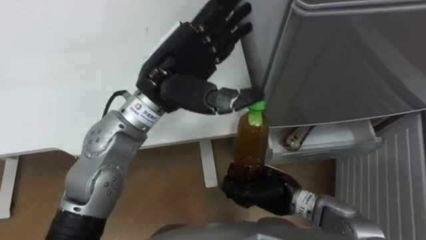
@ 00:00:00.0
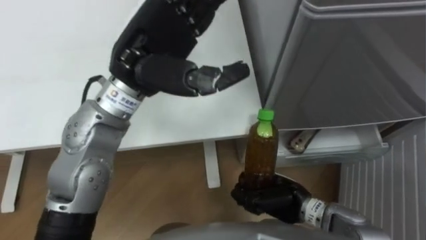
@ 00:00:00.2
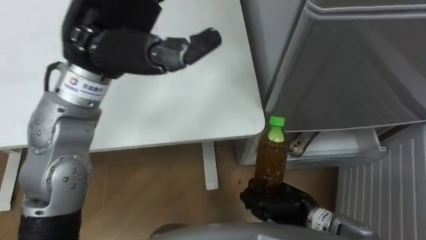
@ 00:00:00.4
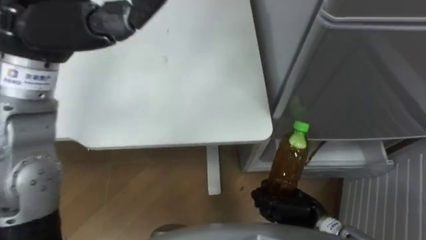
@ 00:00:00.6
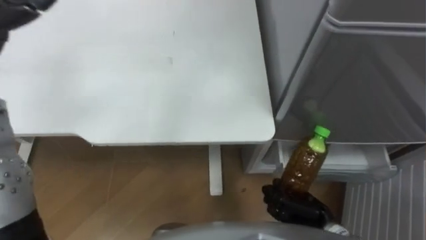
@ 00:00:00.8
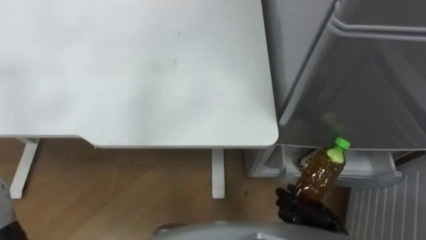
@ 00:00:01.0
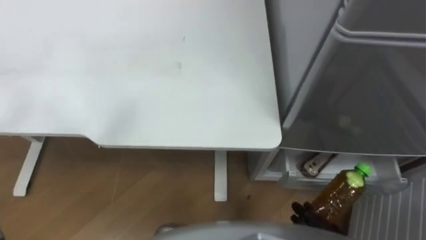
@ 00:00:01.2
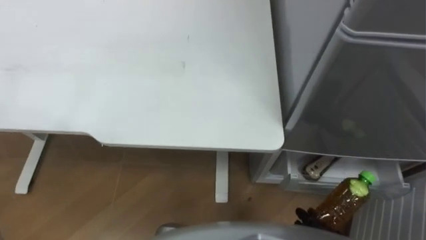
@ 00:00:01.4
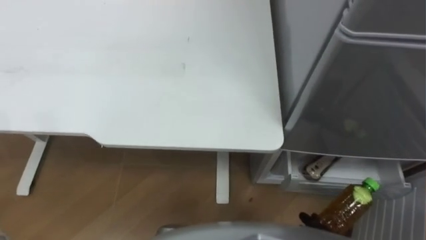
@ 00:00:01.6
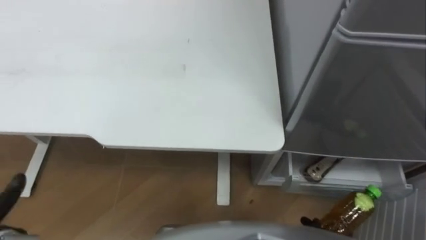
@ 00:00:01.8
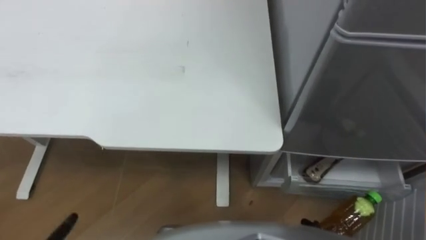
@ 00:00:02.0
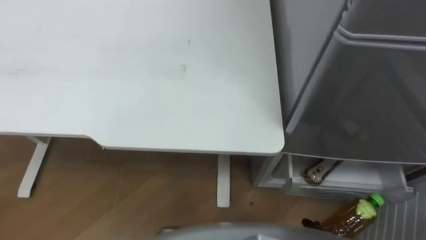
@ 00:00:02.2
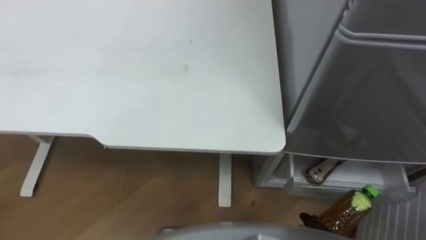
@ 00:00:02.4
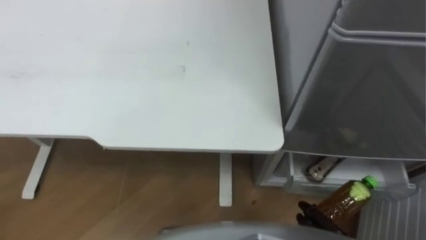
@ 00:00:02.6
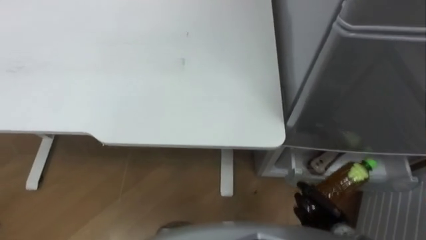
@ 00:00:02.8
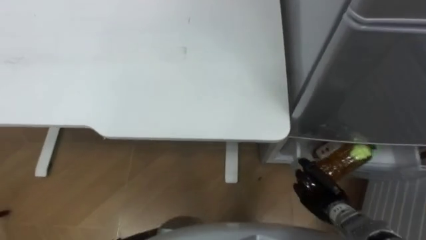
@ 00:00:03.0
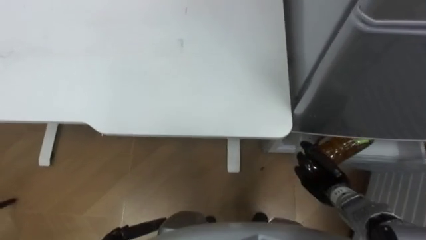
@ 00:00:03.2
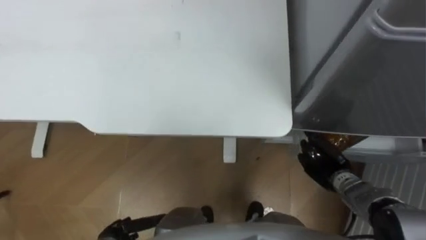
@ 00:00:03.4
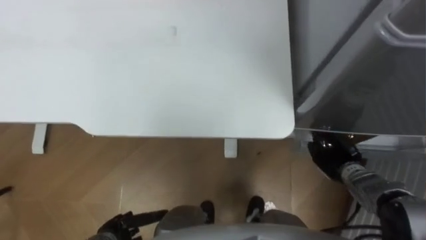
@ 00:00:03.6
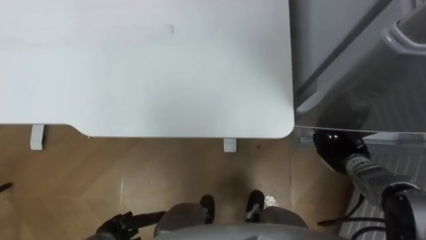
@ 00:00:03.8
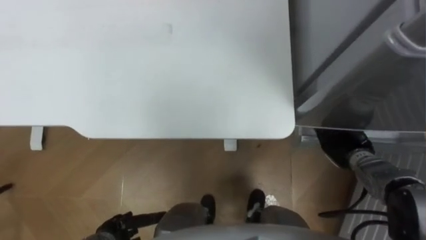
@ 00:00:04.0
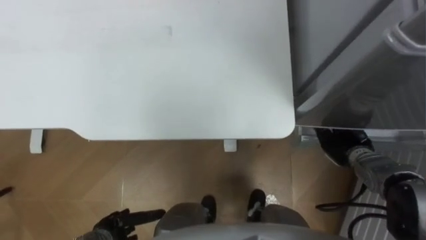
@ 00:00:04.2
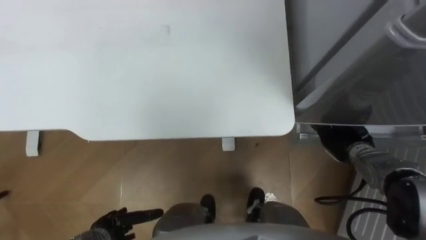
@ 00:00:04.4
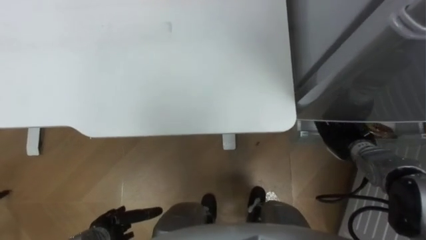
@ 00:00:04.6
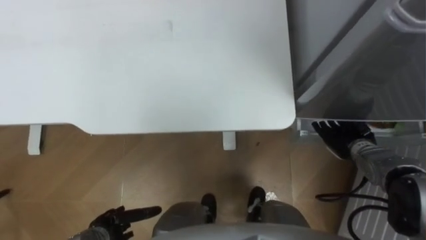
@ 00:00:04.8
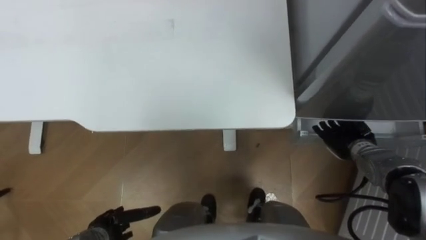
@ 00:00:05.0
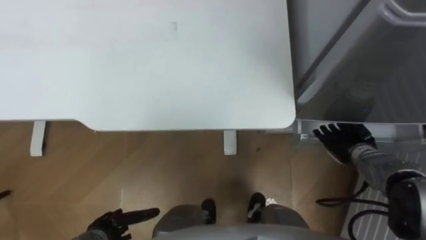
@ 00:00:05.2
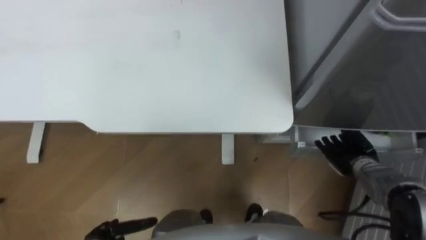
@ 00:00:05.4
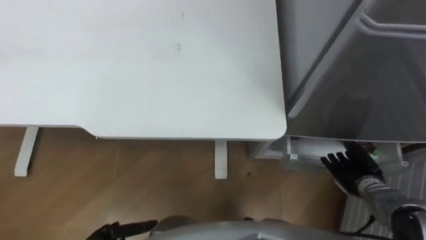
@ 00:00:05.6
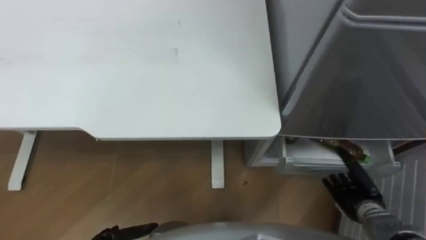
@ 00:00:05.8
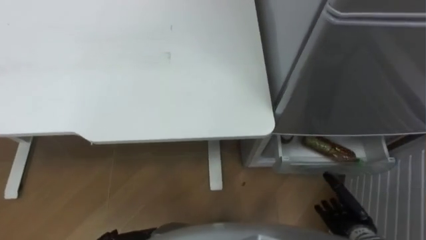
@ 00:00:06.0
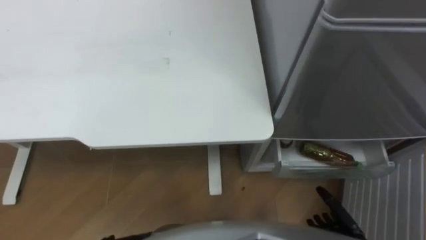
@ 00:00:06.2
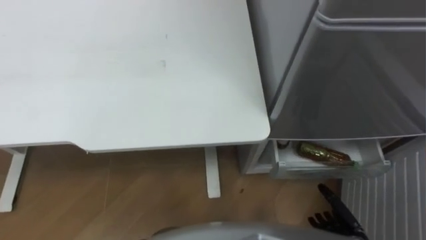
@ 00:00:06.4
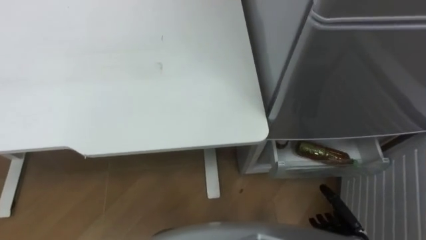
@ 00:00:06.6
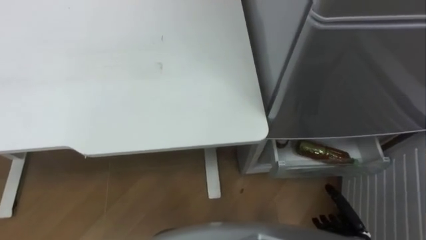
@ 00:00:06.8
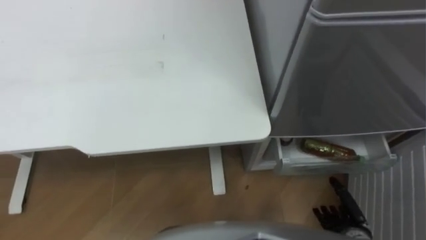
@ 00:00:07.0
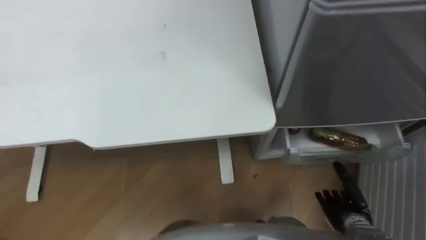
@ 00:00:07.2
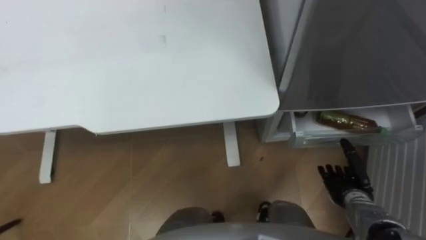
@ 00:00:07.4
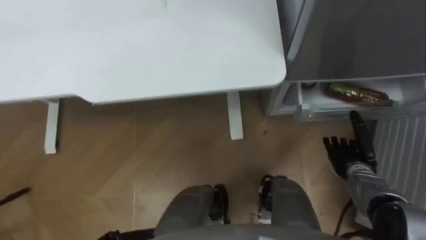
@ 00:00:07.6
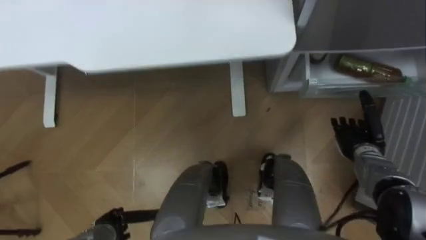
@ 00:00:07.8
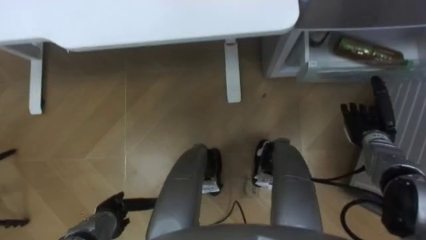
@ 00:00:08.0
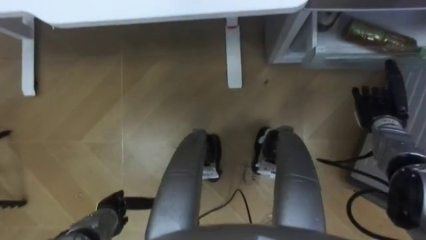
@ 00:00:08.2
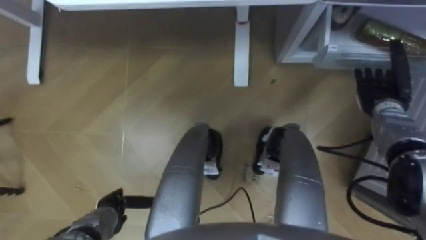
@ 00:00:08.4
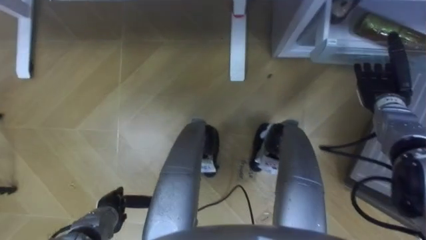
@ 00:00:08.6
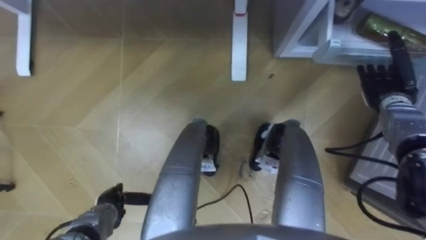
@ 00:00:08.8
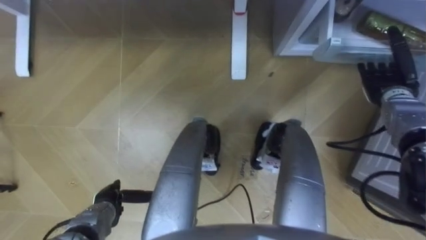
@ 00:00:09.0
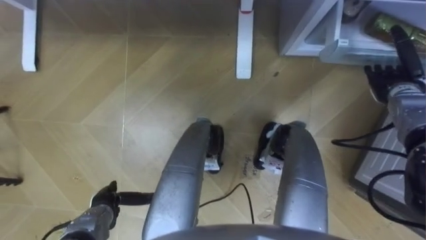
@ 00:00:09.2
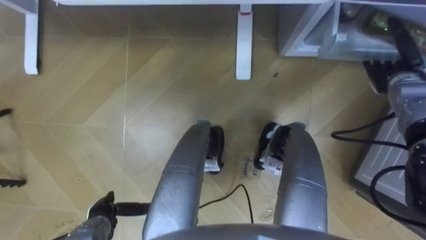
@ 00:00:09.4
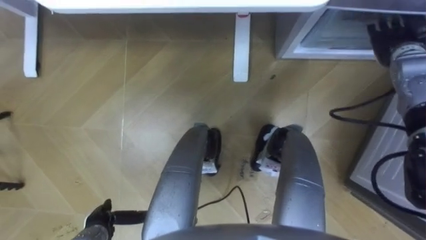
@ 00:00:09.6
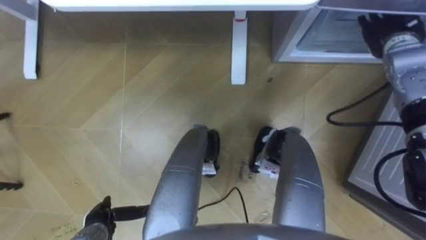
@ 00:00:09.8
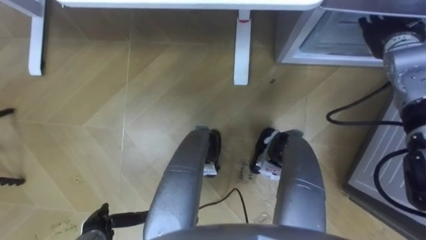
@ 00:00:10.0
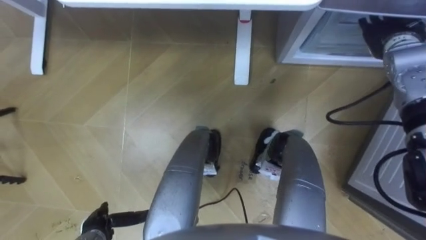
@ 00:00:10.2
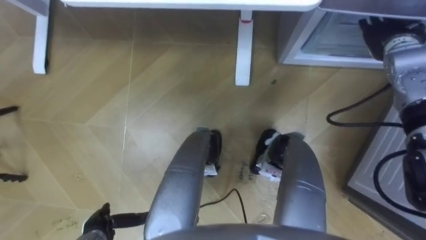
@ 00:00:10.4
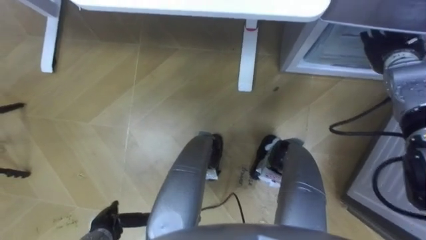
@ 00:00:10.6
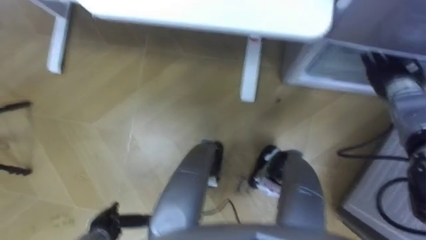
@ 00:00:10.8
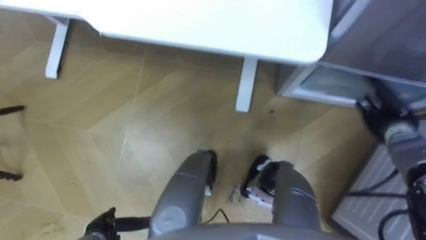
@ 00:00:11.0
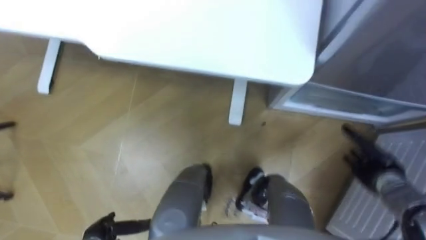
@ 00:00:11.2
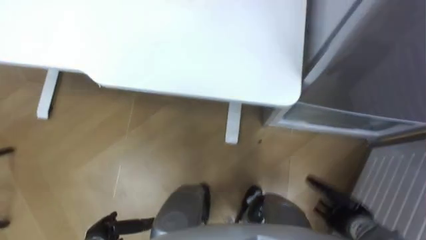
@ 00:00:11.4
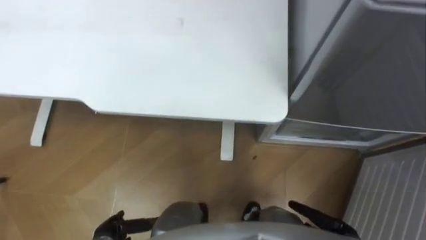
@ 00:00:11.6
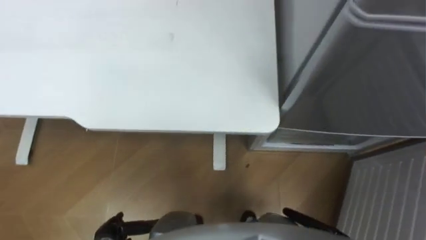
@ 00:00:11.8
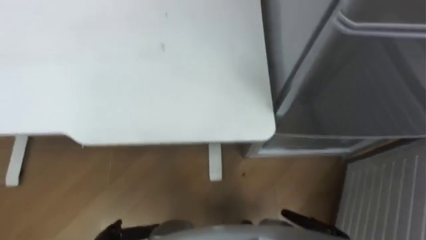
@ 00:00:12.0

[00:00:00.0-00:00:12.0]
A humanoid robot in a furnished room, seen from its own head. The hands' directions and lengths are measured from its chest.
Task of the whole recording: Place the drink on the table on the bottom shelf of the refrigerator, then close the drawer and the refrigerator door.
00:00:03.0 to 00:00:04.4: The right hand shifts approximately 15 cm forward and upward, and opens.
00:00:04.4 to 00:00:06.0: The right hand shifts about 15 cm backward, and opens up.
00:00:06.0 to 00:00:07.6: The right hand goes some 10 cm forward.
00:00:07.6 to 00:00:09.0: The right hand travels forward and upward by about 20 cm.
00:00:09.0 to 00:00:10.4: The left hand travels backward by some 5 cm. The right hand heads upward and forward, covering roughly 10 cm.
